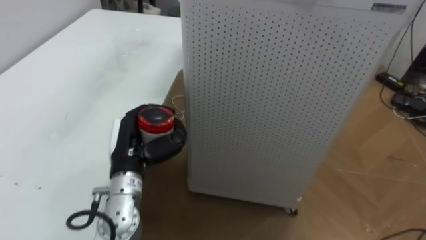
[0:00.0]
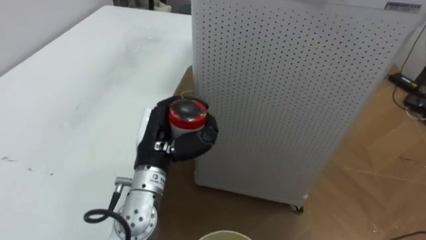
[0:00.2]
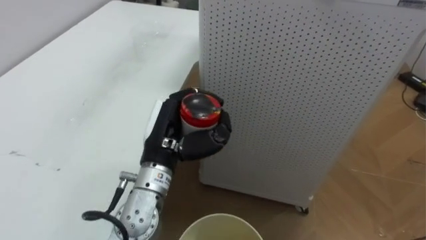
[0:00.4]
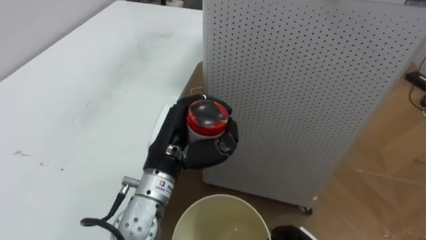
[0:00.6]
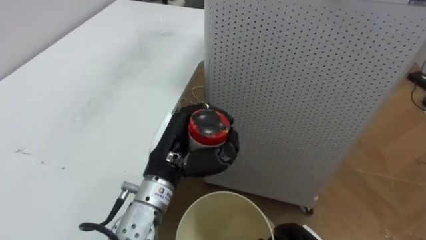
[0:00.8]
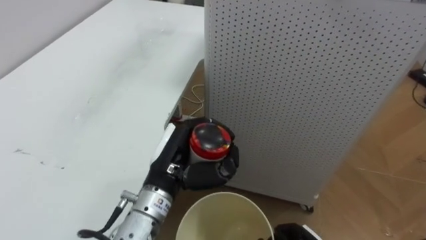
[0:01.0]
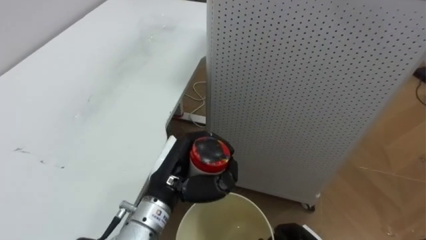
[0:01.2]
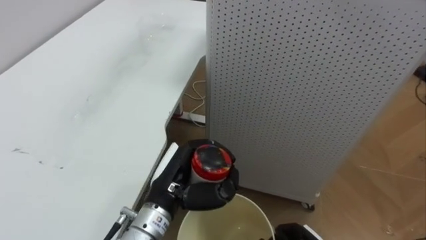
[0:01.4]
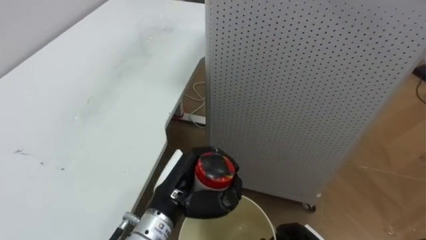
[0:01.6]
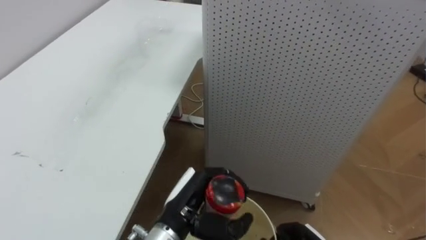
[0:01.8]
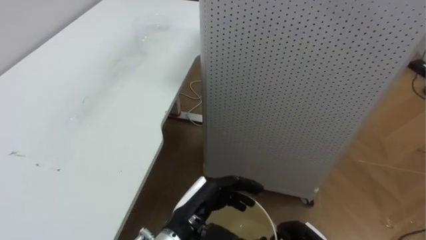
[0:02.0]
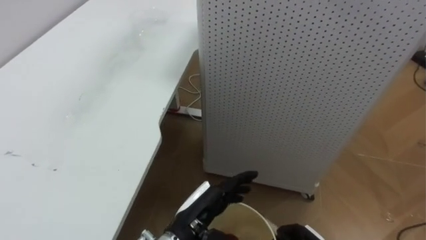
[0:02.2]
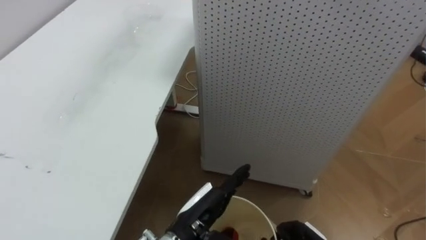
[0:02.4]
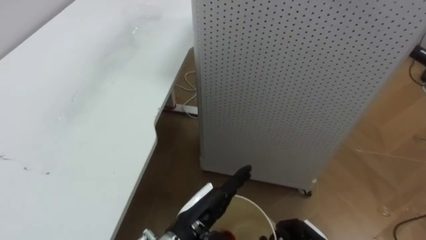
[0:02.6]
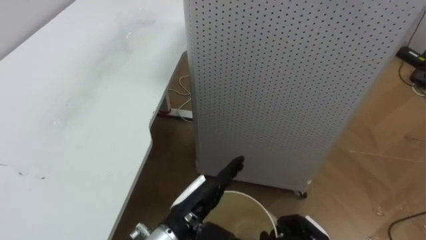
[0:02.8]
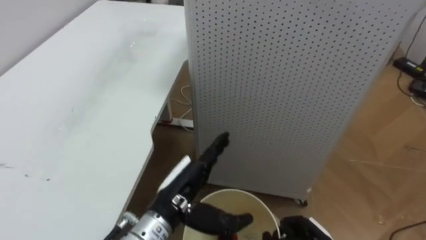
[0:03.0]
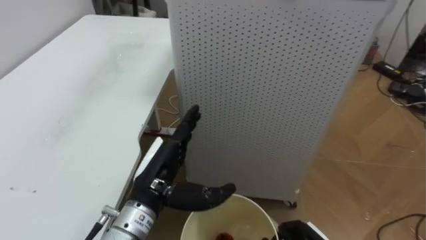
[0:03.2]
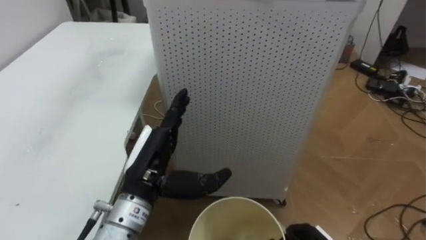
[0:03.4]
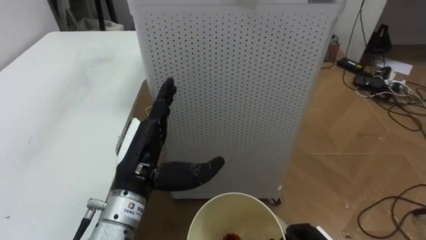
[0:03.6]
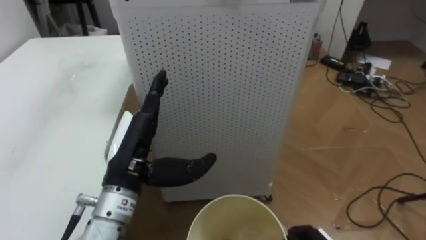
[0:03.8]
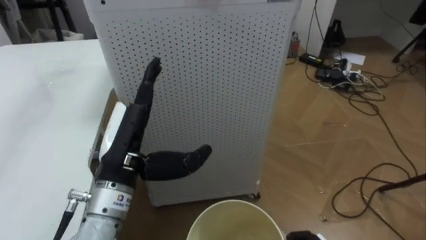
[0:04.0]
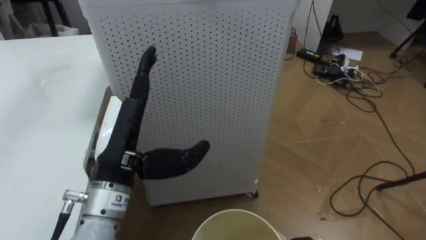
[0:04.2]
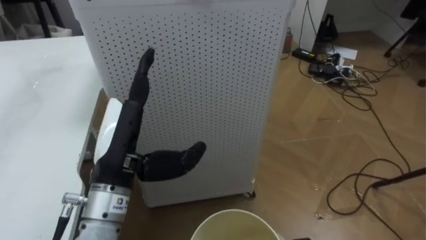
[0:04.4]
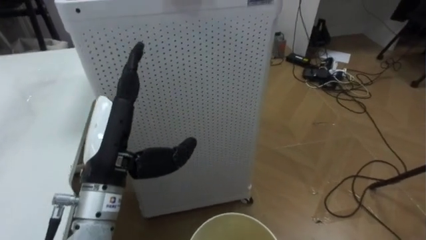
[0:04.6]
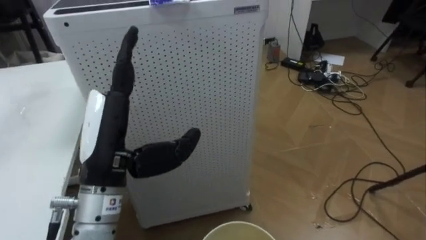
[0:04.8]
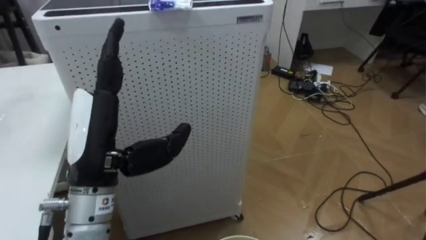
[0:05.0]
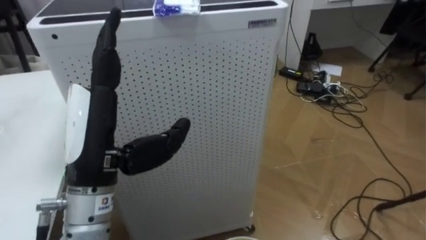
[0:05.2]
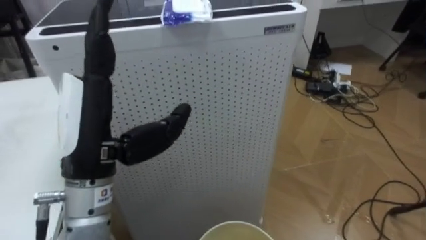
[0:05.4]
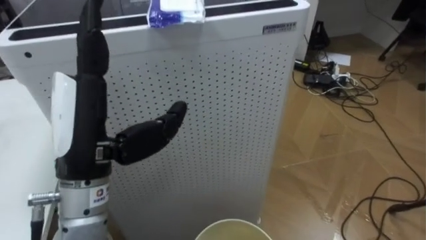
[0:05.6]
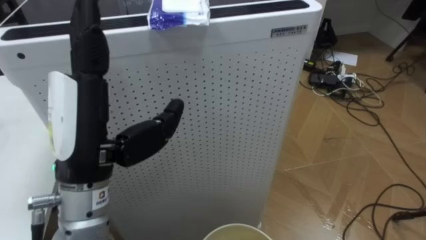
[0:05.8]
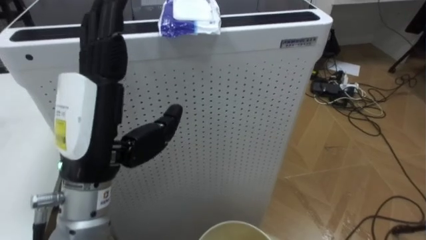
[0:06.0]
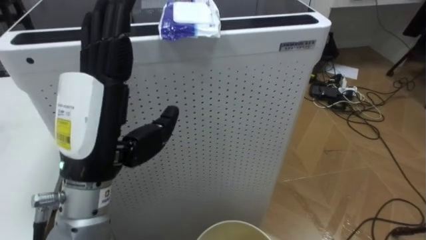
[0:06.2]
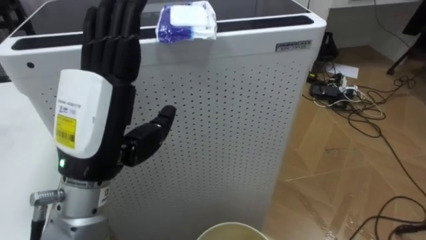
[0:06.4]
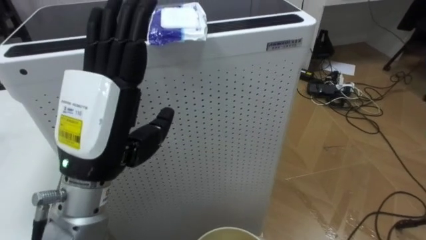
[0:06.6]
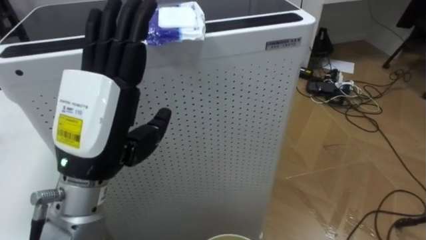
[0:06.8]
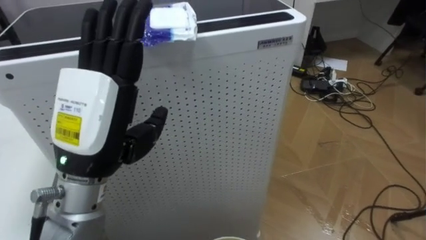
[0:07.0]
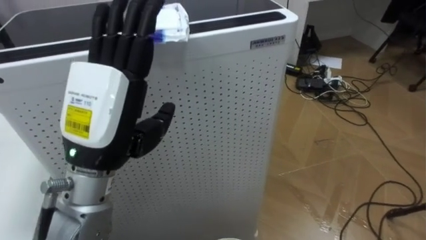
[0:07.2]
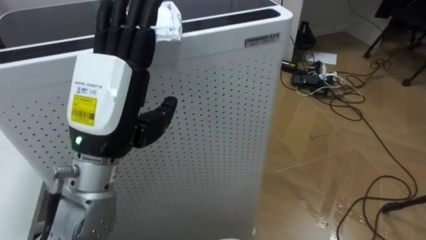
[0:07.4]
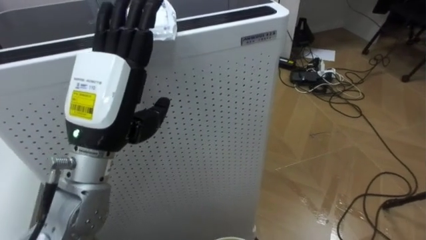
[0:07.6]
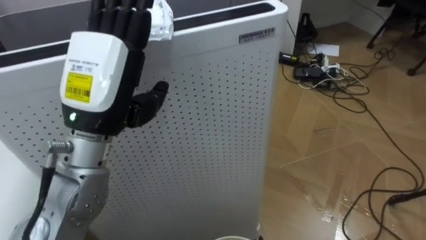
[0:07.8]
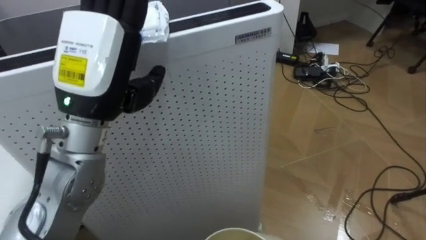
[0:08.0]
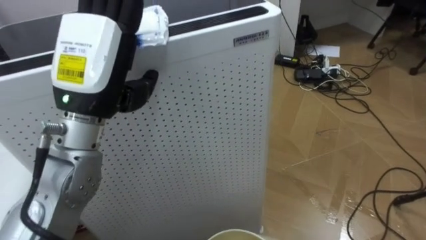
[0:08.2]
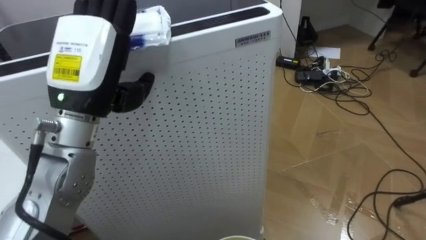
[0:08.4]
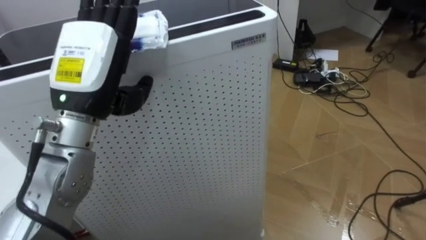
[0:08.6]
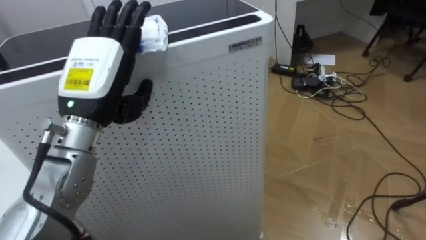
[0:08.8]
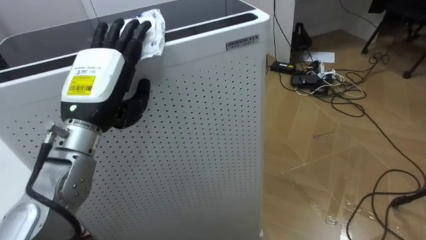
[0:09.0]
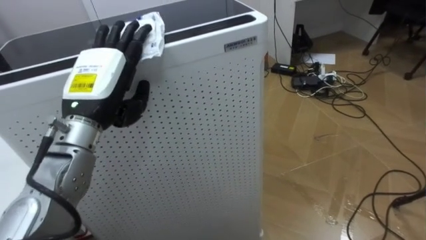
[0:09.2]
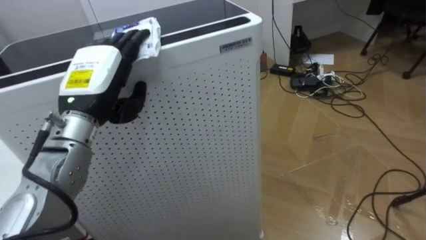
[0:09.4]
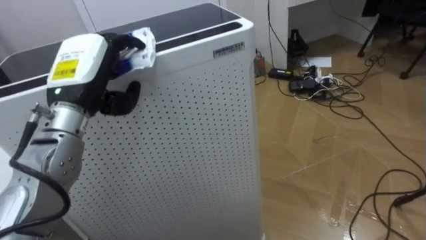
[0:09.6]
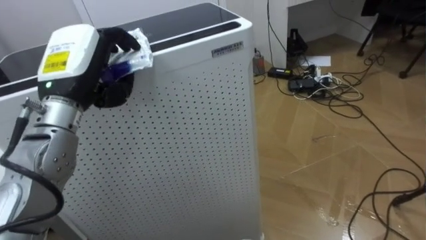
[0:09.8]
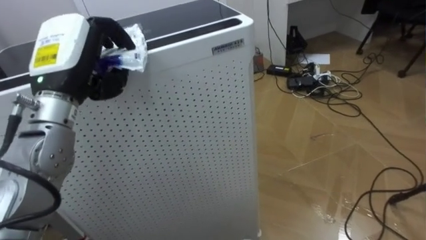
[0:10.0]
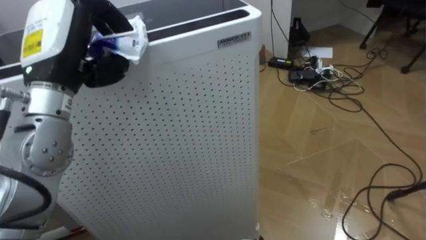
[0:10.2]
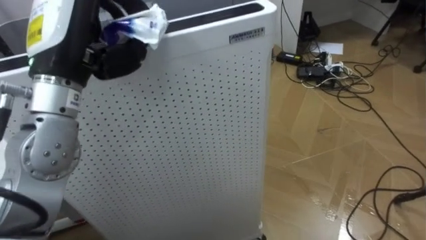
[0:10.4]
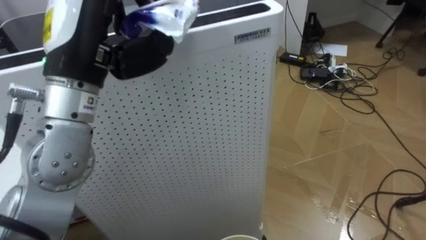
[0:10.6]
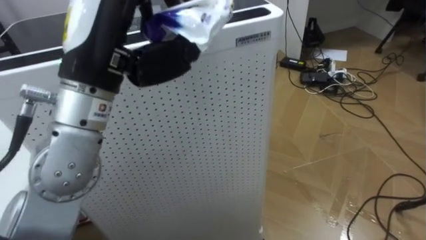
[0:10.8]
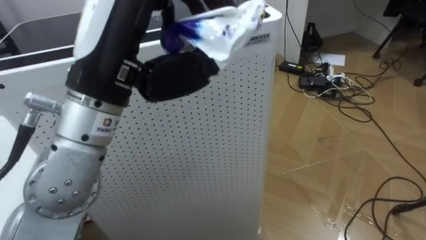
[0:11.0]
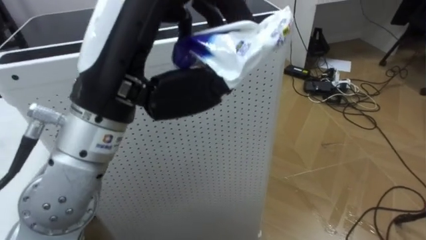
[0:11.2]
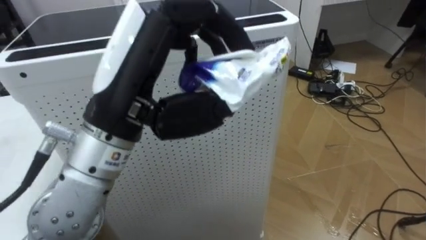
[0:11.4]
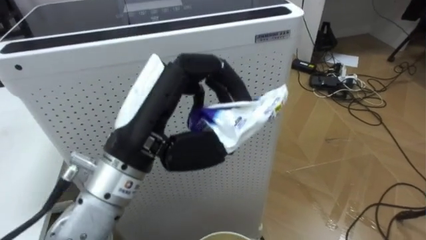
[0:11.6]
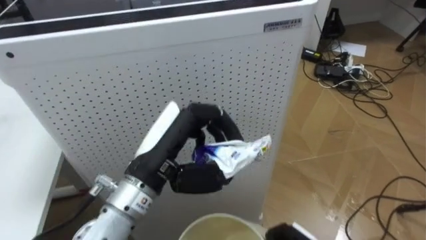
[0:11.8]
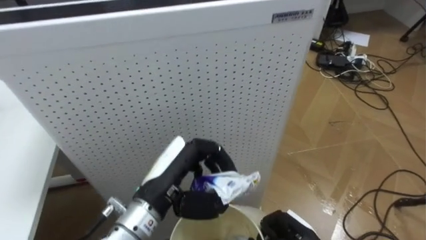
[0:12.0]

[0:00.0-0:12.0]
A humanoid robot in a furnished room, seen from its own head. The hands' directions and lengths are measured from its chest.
Task of the whole recording: Pick up the light blue package, the candy box, and the dark blue package separately, and put them into the trash can held in your right hand.
0:00.0 to 0:01.6: The left hand heads to the right and backward, covering some 10 cm.
0:01.6 to 0:03.0: The left hand opens up.
0:03.0 to 0:04.4: The robot turns to its right by about 20 degrees. The left hand moves upward and to the left, roughly 15 cm.
0:04.4 to 0:06.0: The left hand shifts approximately 5 cm upward.
0:07.6 to 0:09.0: The left hand travels forward by about 5 cm.
0:09.0 to 0:10.4: The left hand heads upward, covering about 10 cm, and closes up.
0:10.4 to 0:12.0: The left hand heads downward and to the right, covering roughly 20 cm.

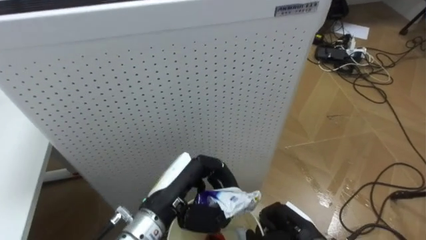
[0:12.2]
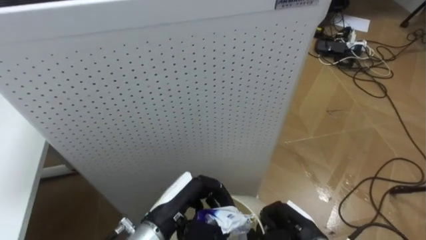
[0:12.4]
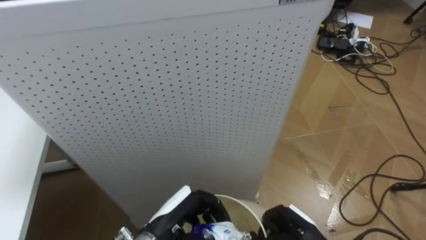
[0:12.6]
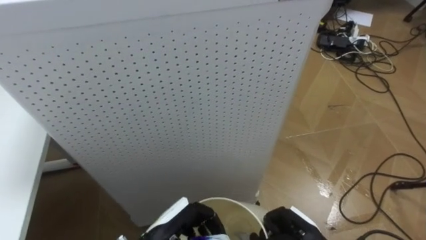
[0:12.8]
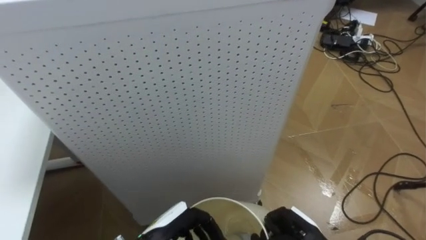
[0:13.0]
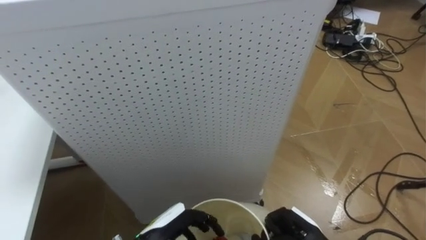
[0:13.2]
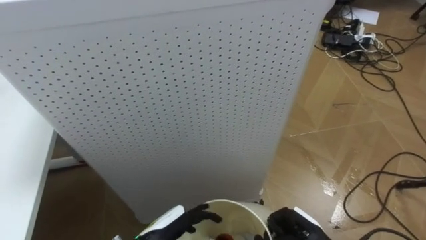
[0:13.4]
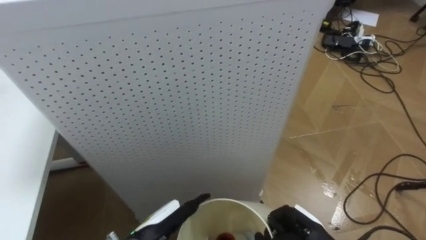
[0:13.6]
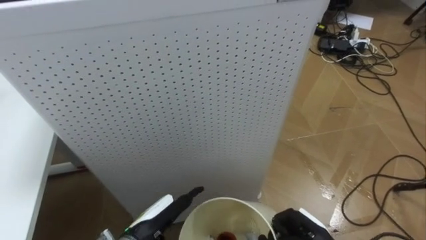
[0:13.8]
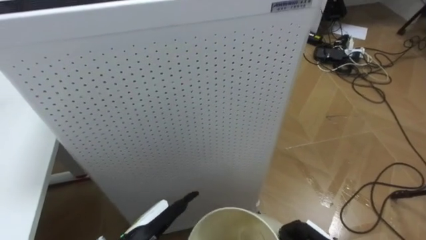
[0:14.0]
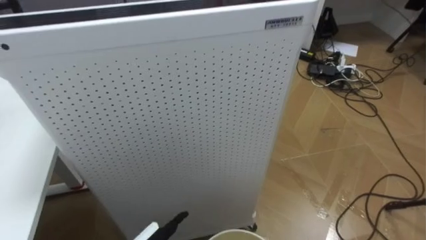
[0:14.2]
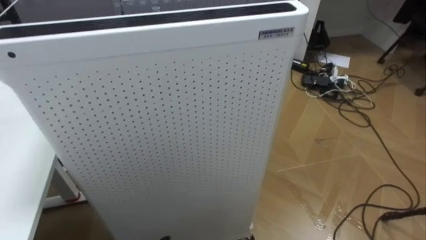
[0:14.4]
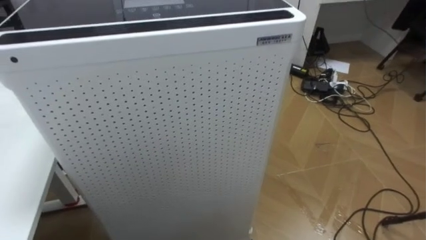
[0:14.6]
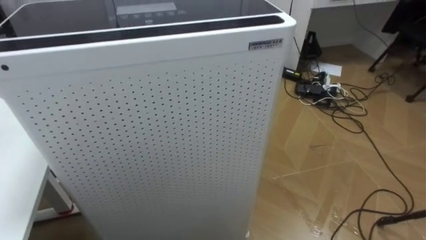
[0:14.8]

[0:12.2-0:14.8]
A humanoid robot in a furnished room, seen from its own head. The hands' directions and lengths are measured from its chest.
Task of the whole recording: Pick up the light blue package, the candy box, and the dark blue package separately, and put them into the trash can held in your right hand.
0:12.2 to 0:13.4: The left hand goes some 10 cm downward, and opens up.

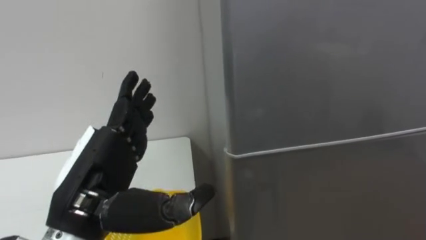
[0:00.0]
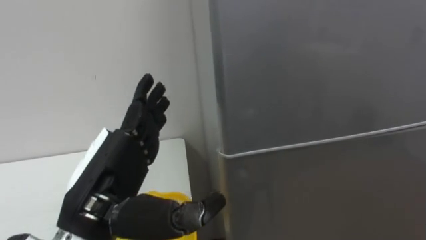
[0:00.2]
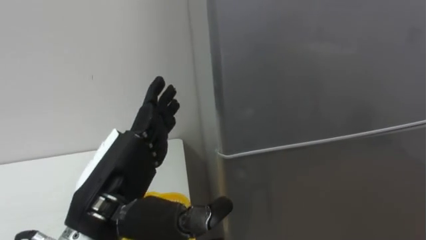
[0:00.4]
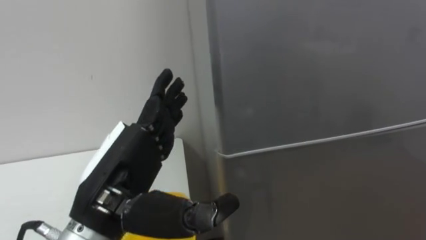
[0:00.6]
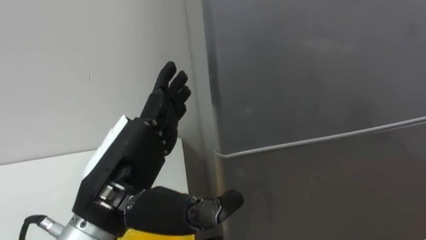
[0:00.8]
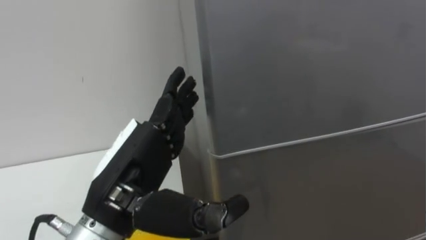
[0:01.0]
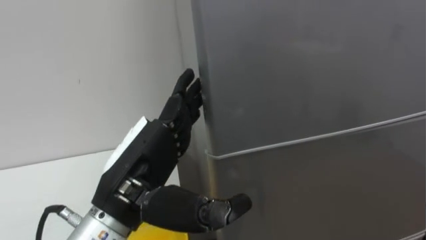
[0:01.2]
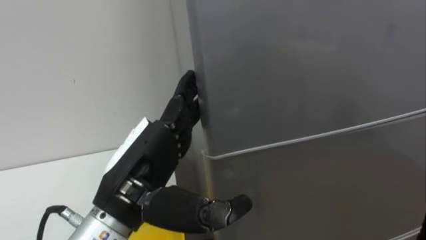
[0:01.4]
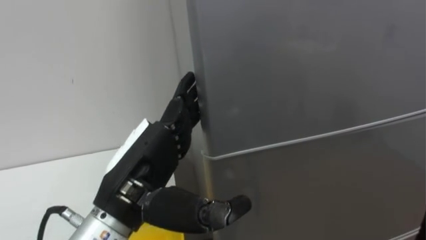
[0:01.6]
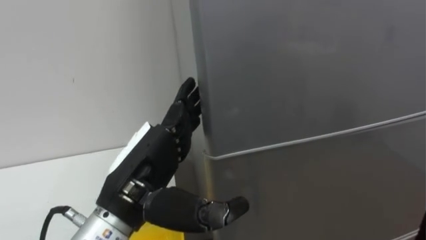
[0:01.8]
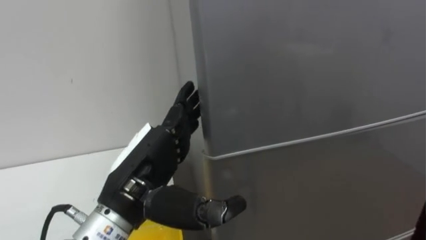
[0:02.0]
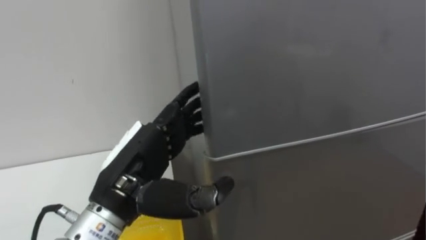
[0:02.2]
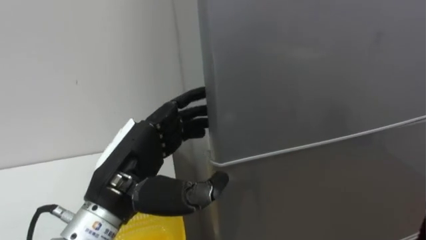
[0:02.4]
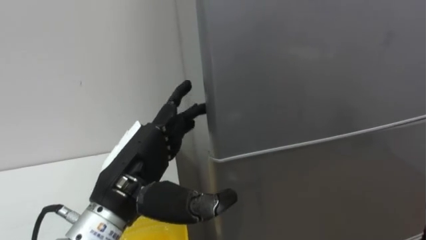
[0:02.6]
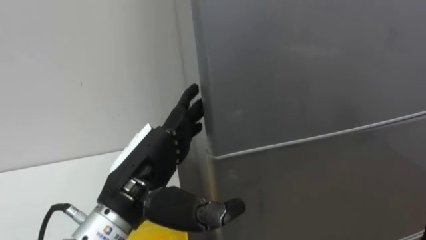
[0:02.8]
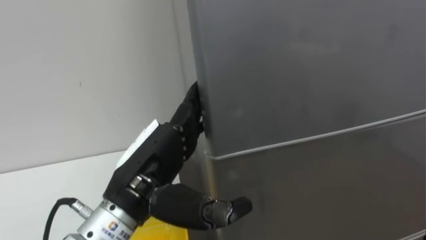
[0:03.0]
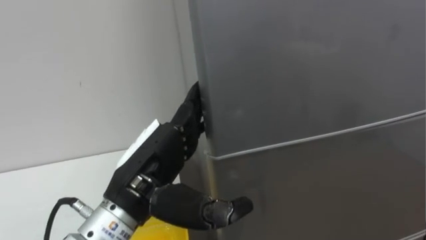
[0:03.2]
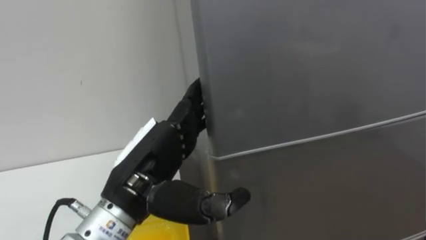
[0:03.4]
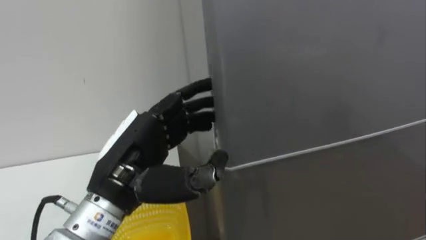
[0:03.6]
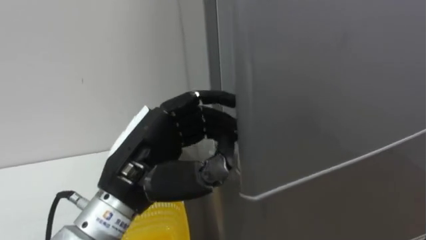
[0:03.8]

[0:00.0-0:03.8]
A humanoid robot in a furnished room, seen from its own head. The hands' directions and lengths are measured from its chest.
Task of the whole recording: Open the refrigerator door, take out the apple and the pomegranate, place them in the fruit basket on the left, and close the refrigerator door.
0:02.6 to 0:03.8: The left hand closes its fingers.